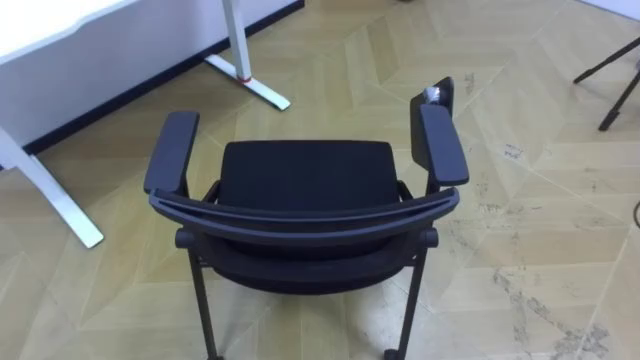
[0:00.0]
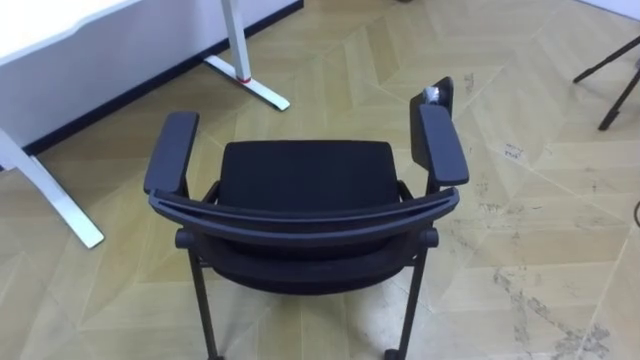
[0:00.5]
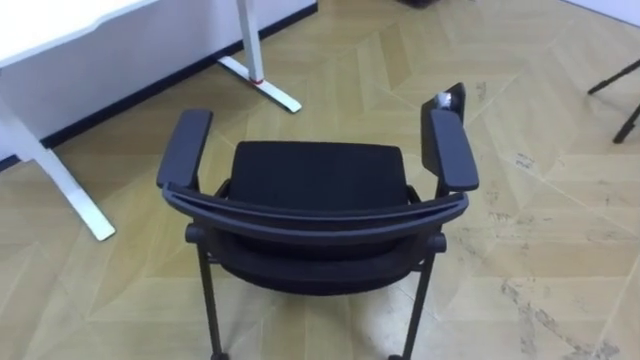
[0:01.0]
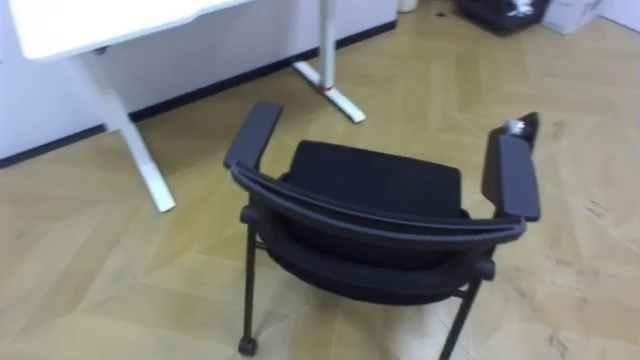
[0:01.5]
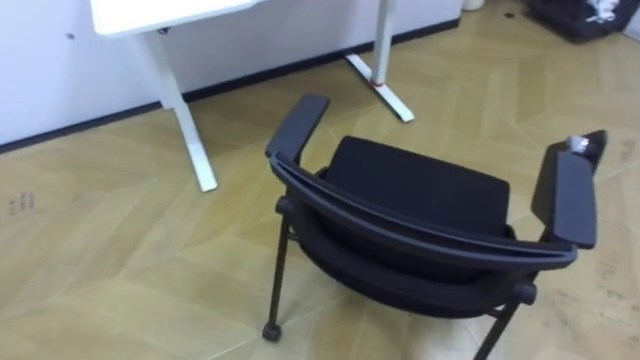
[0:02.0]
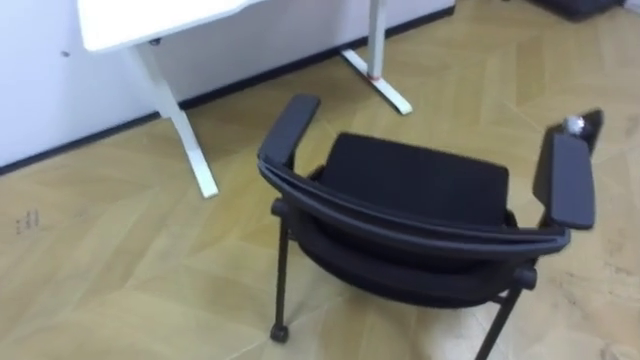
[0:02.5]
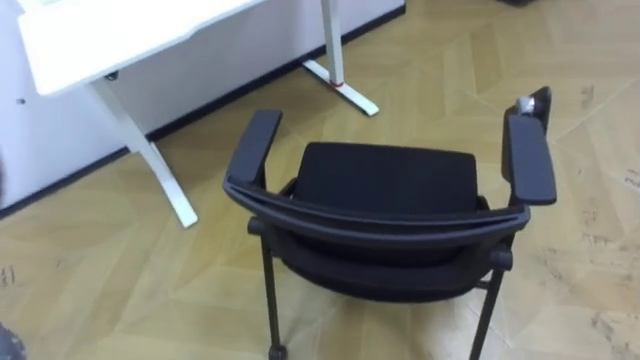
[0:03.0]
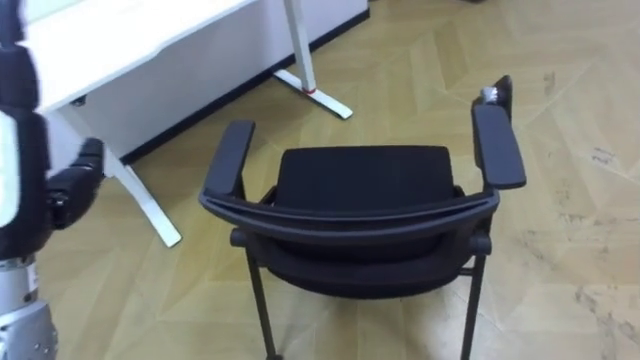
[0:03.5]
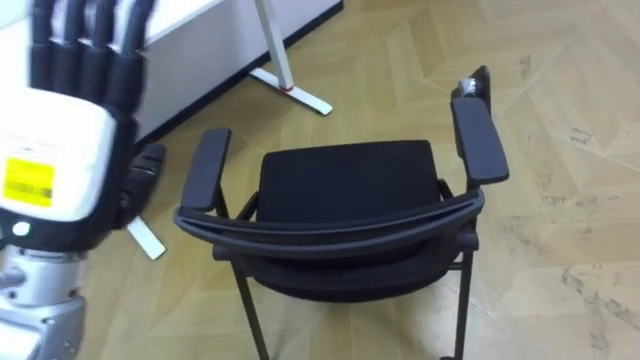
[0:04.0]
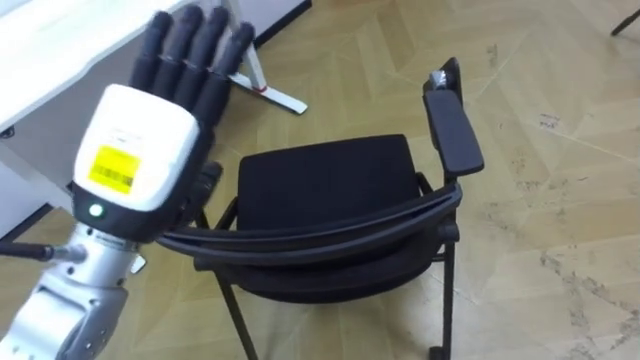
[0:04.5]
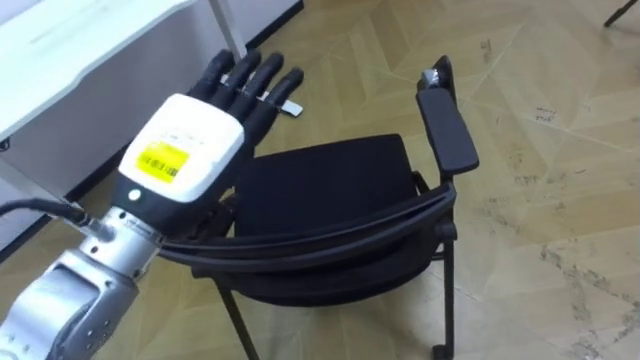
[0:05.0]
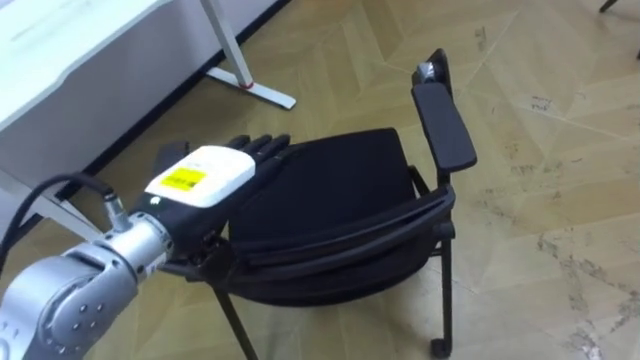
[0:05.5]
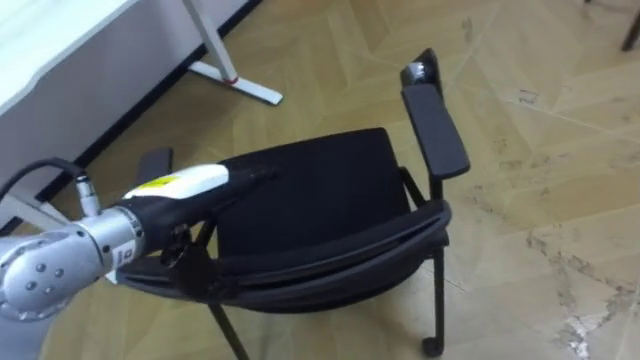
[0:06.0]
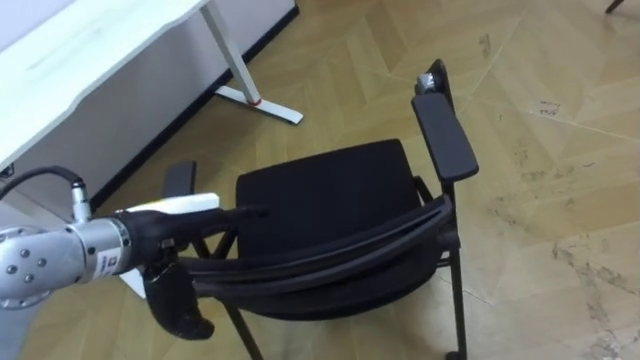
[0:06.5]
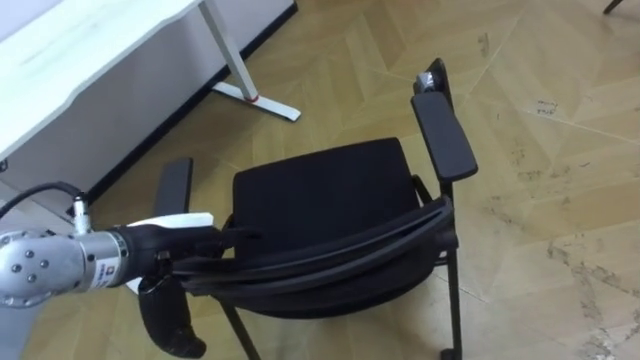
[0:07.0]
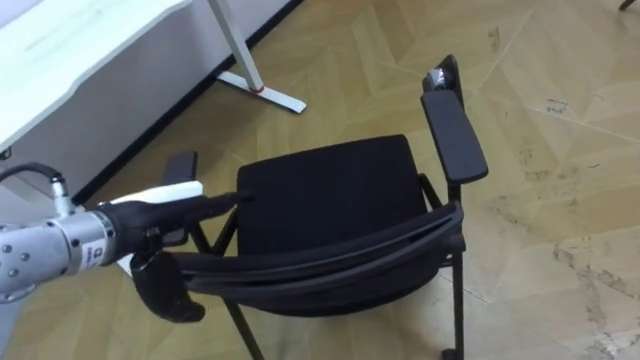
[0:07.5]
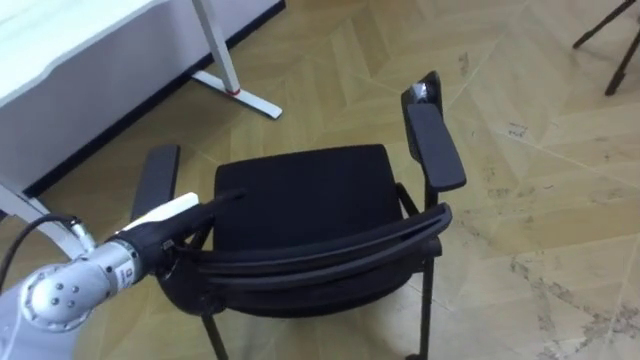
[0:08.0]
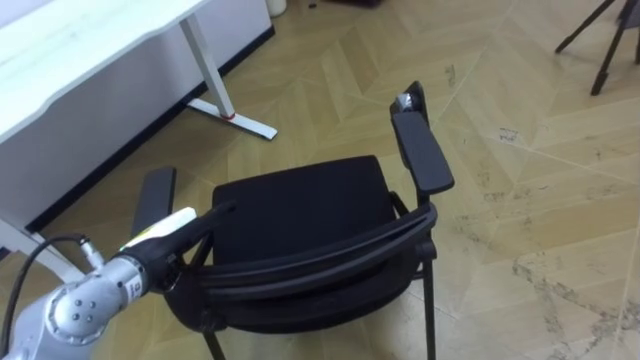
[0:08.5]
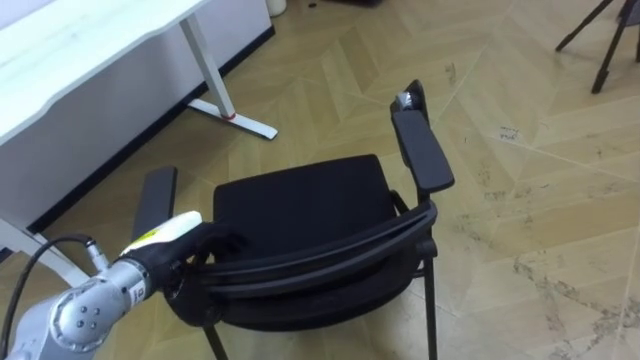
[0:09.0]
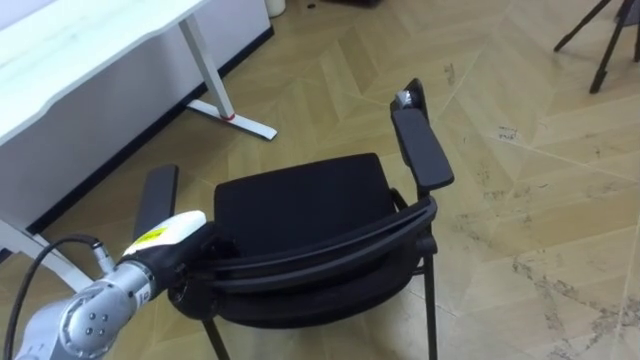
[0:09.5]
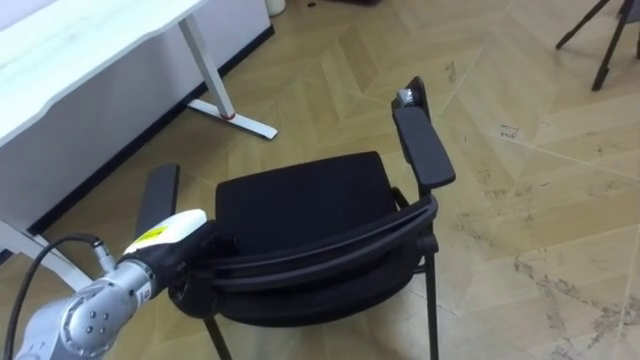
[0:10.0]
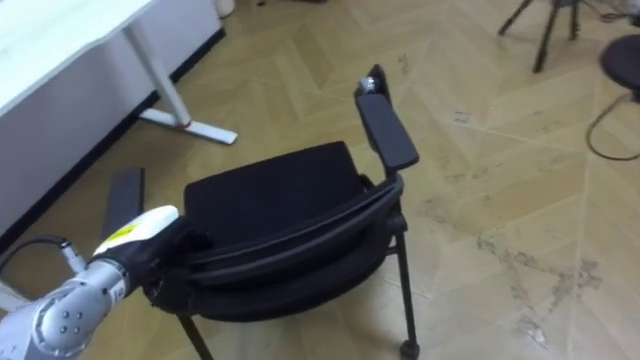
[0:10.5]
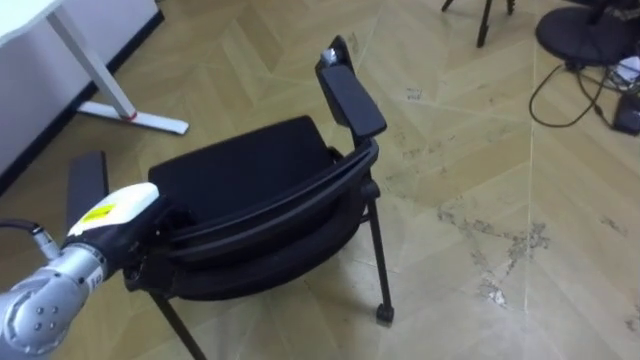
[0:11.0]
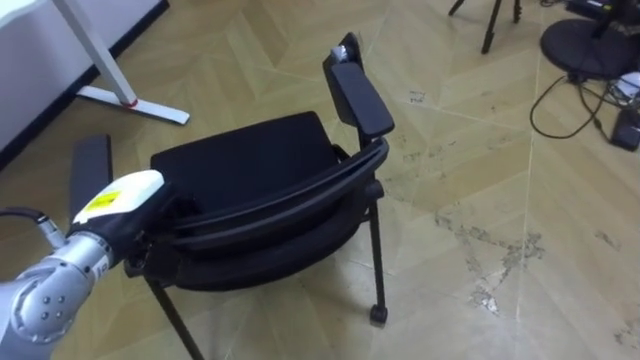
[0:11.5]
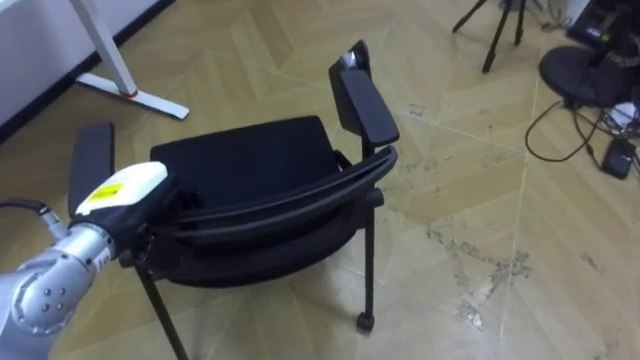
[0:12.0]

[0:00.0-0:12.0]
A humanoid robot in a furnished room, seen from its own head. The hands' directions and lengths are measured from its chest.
Task of the whole recording: Push the chair under the table.
0:04.0 to 0:06.0: The left hand moves downward and to the right, roughly 10 cm.
0:06.0 to 0:08.0: The left hand is displaced downward by approximately 5 cm.
0:08.0 to 0:10.0: The left hand closes.
0:10.0 to 0:12.0: The left hand goes some 5 cm upward.

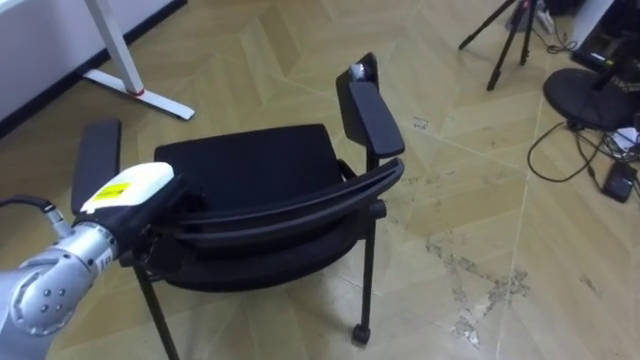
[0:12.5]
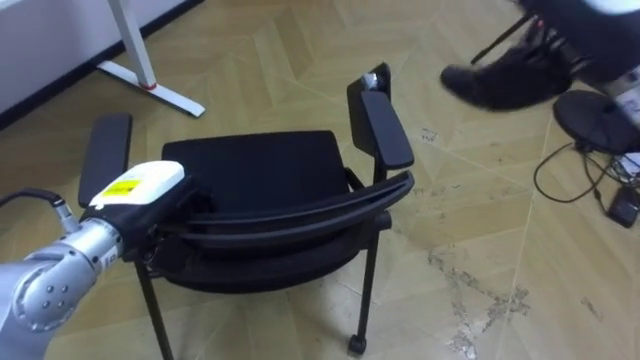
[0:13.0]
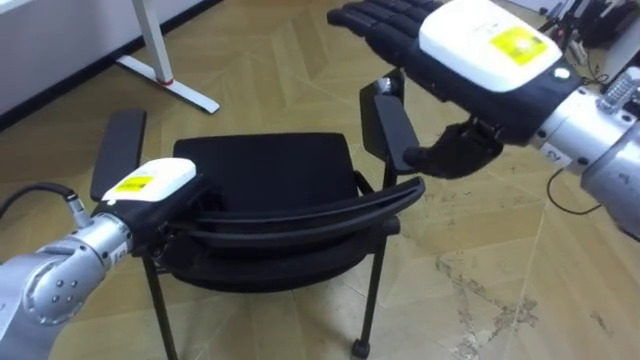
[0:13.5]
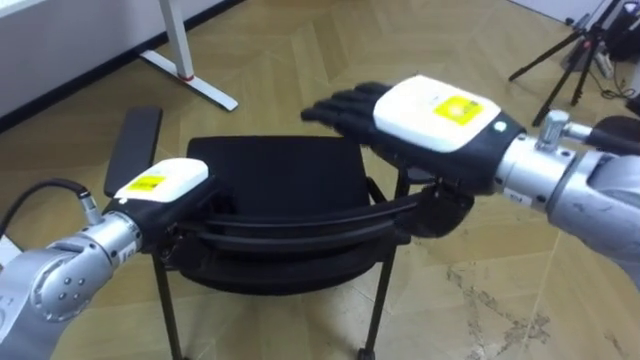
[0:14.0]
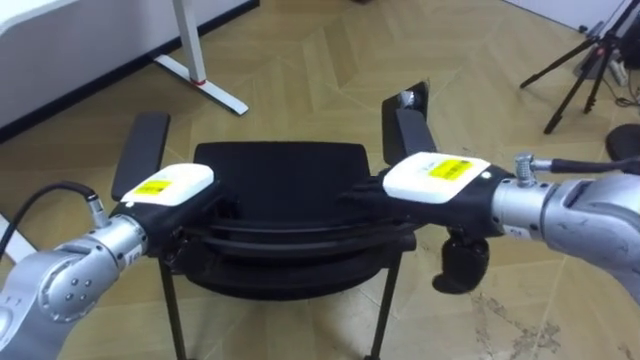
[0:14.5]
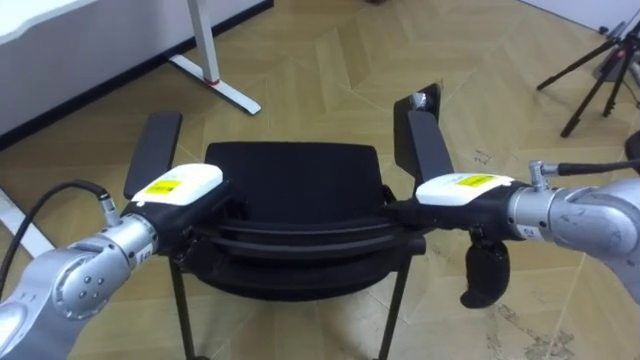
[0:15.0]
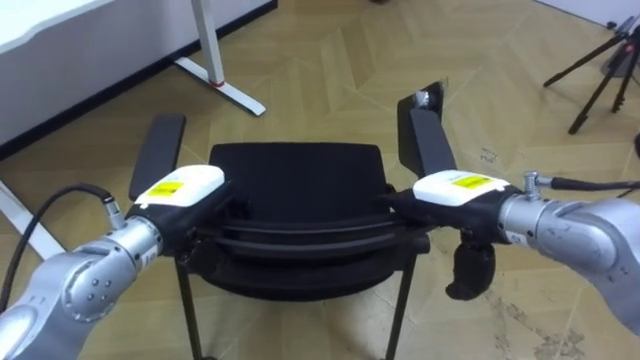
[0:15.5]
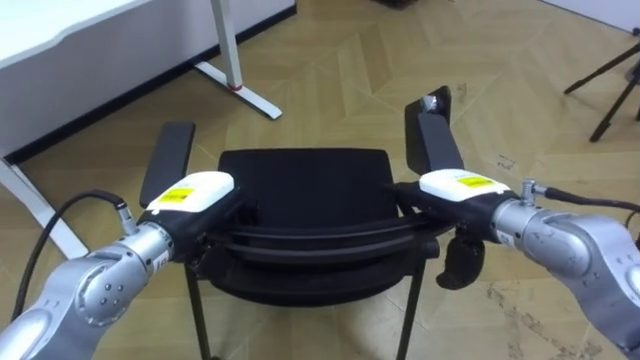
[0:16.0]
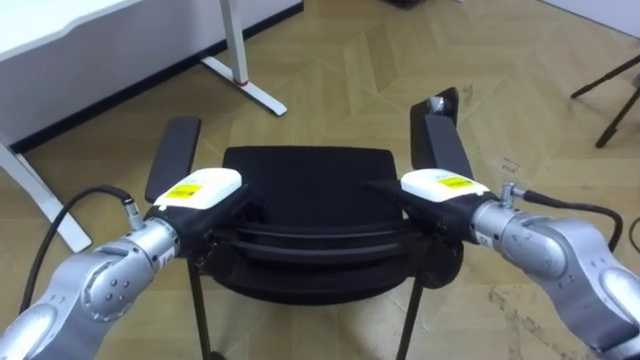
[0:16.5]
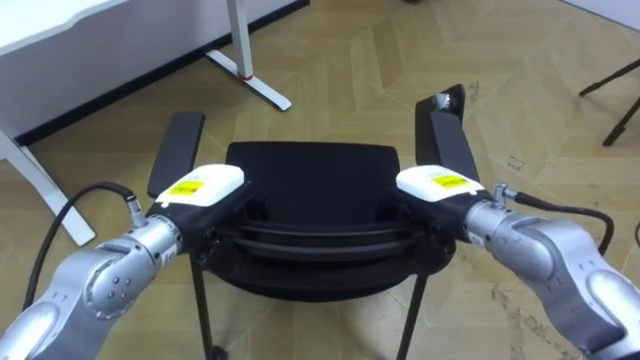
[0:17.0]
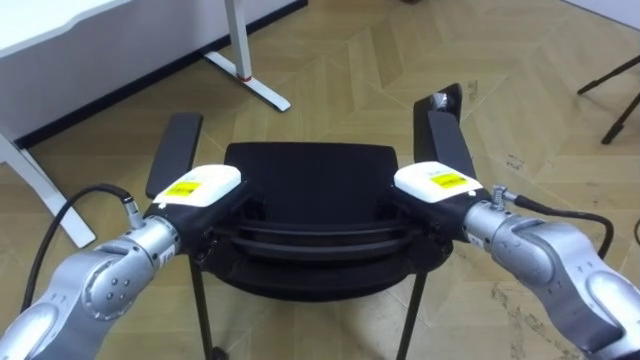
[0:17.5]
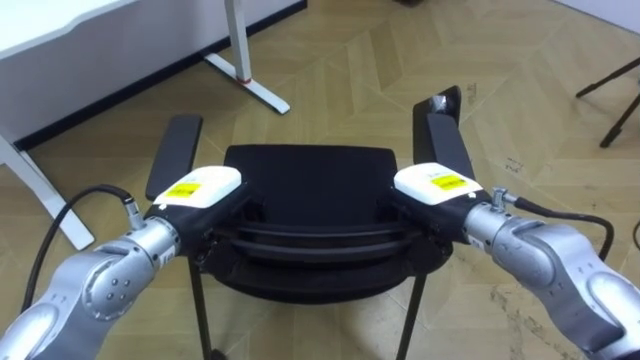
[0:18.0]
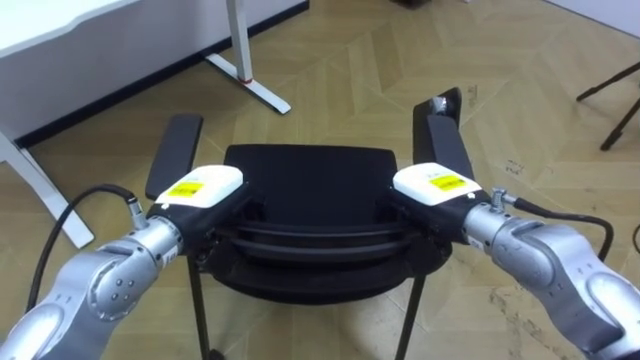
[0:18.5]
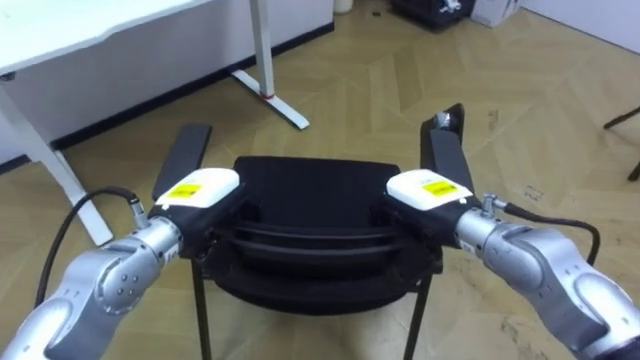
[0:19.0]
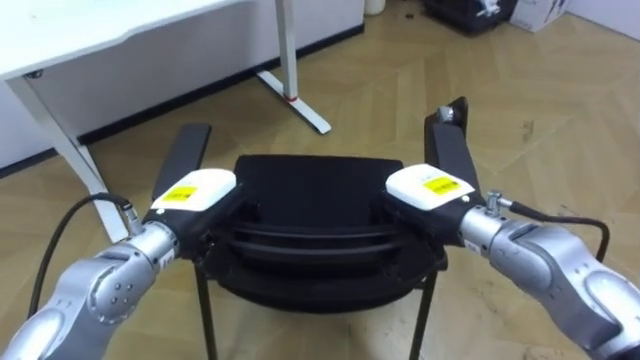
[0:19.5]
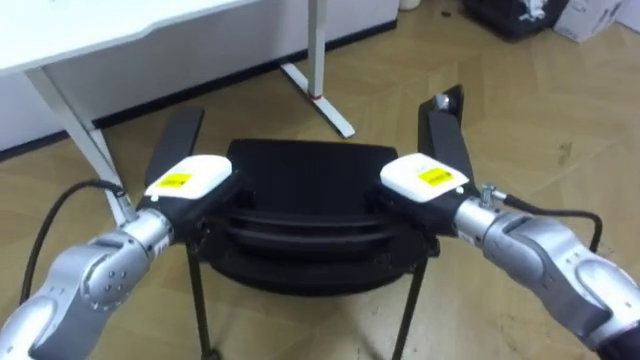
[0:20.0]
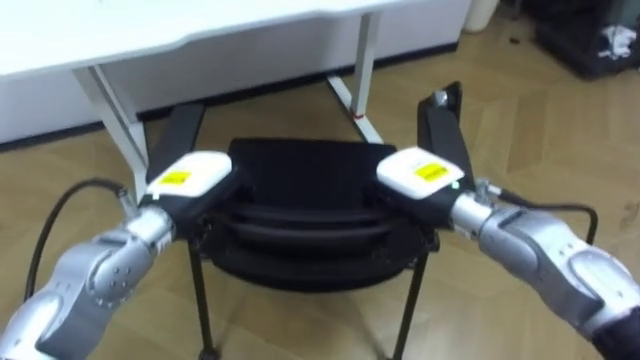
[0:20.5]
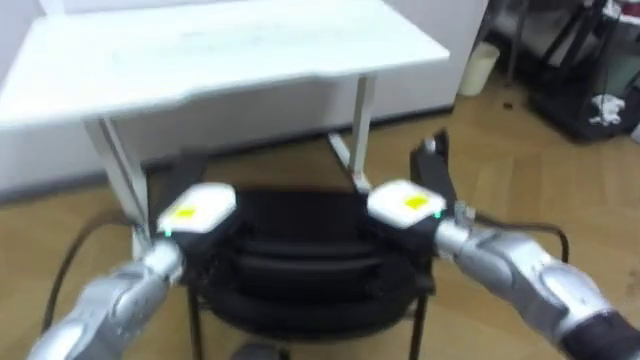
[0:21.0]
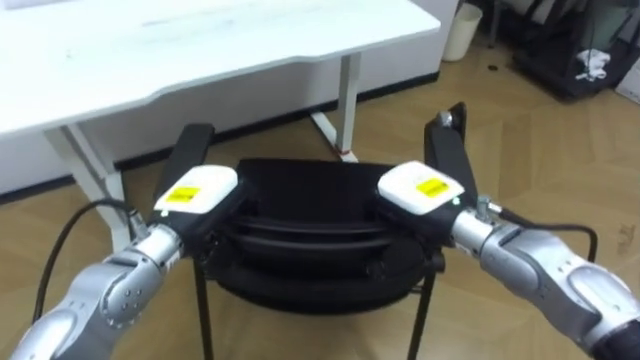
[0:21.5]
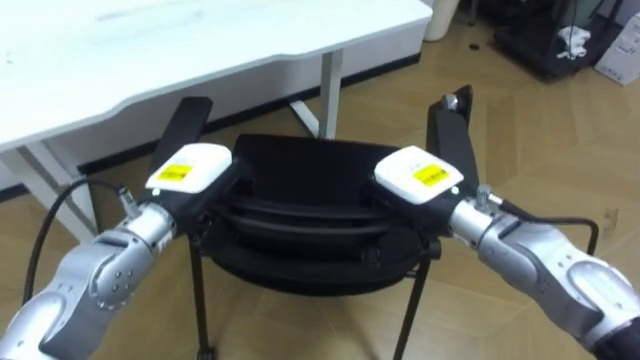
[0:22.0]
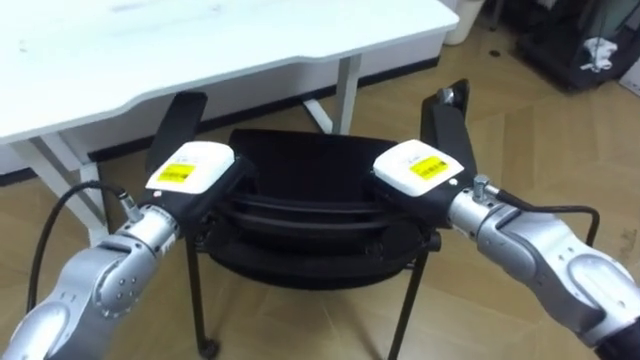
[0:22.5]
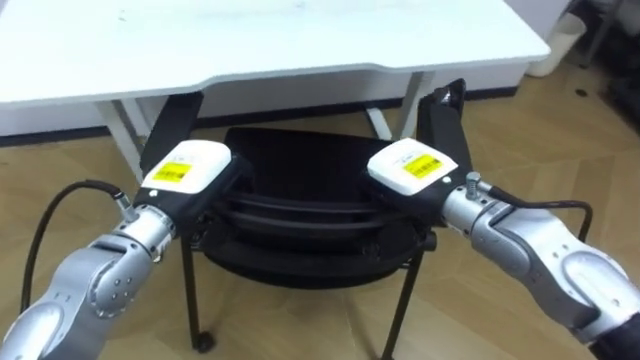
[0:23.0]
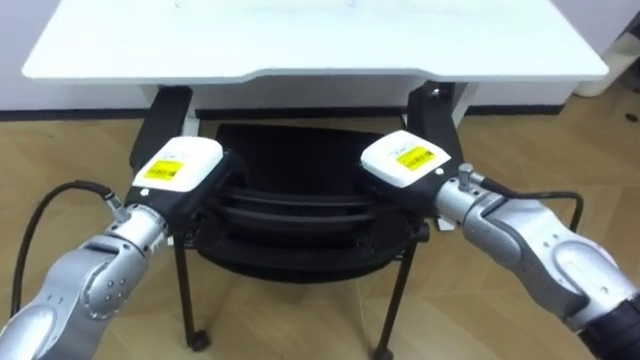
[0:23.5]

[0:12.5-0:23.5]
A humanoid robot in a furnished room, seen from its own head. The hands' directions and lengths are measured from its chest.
Task of the whole recording: Push the chair under the table.
0:14.5 to 0:16.0: The right hand is displaced downward by about 5 cm.
0:16.0 to 0:18.0: The right hand closes.
